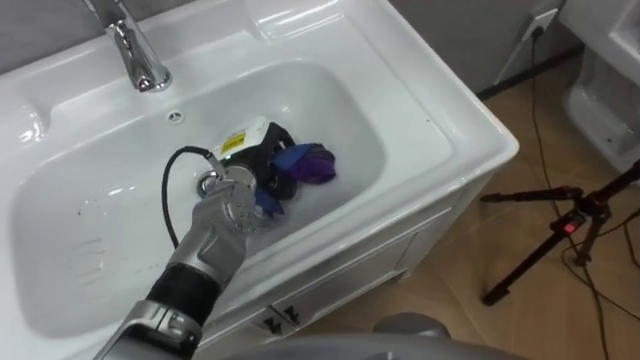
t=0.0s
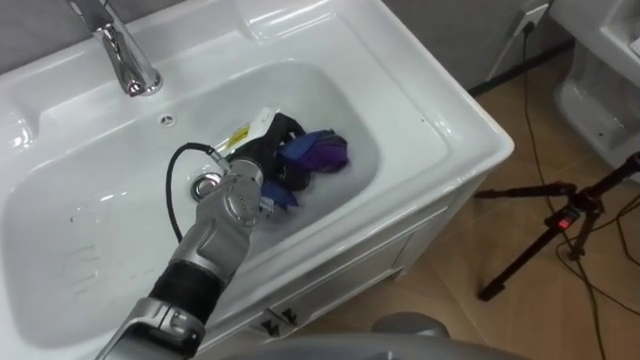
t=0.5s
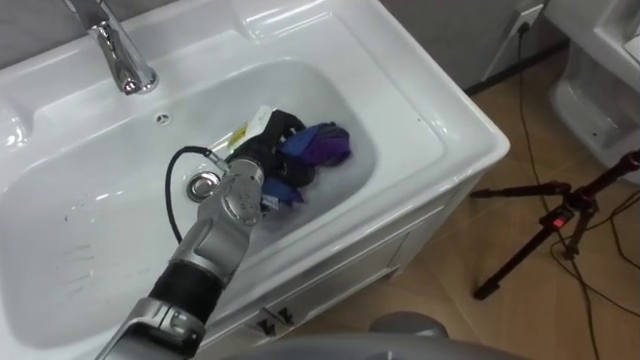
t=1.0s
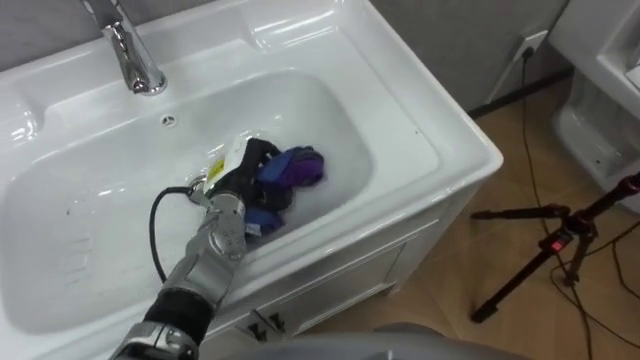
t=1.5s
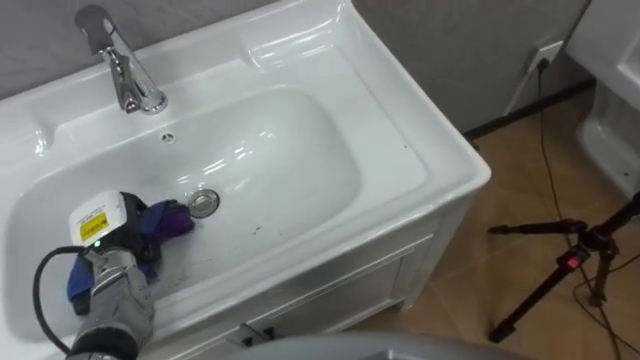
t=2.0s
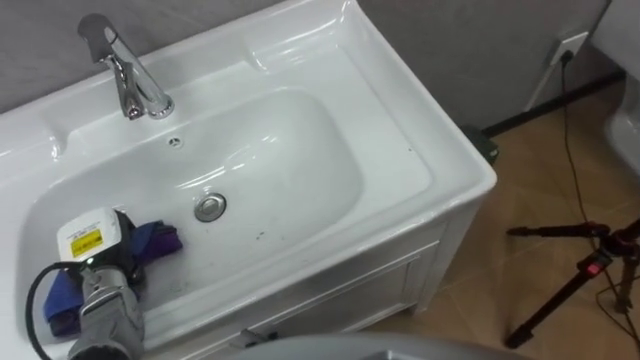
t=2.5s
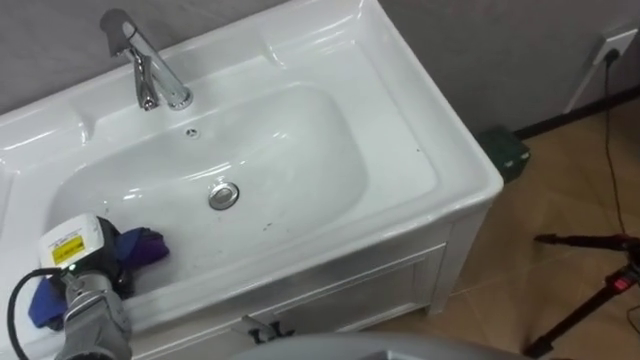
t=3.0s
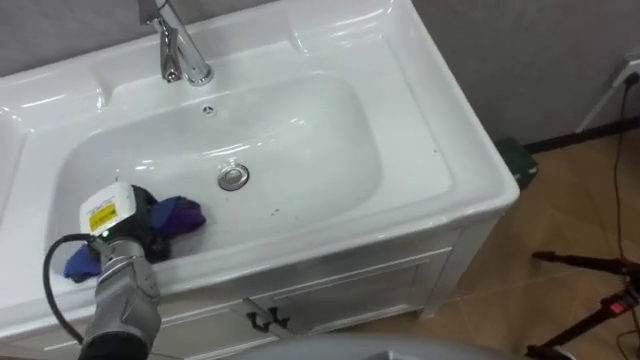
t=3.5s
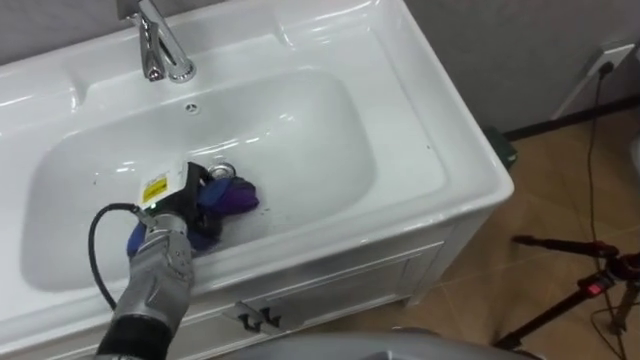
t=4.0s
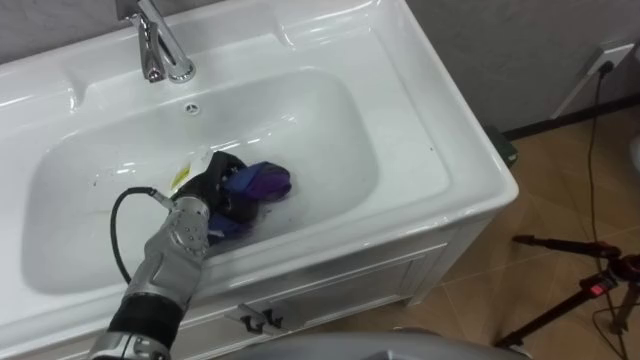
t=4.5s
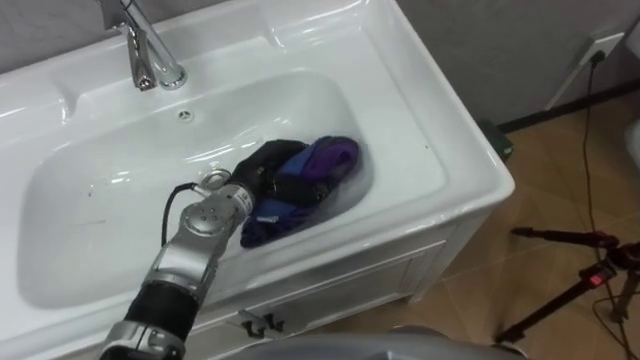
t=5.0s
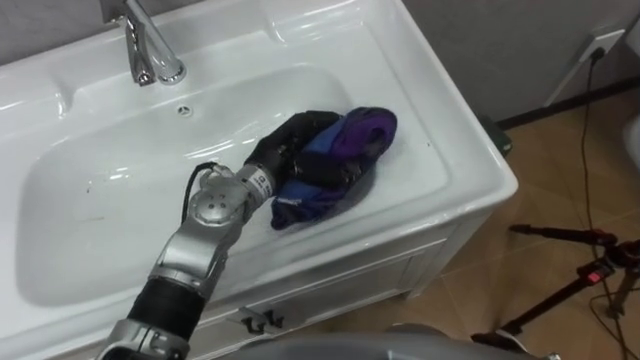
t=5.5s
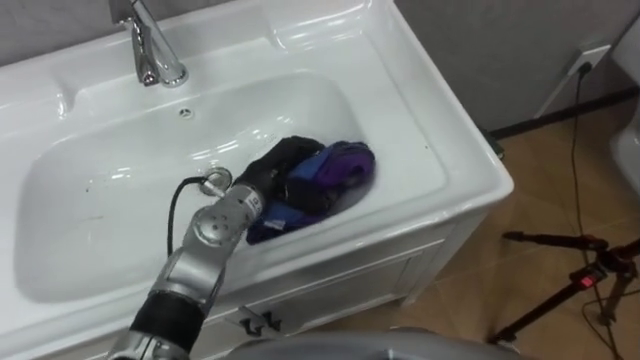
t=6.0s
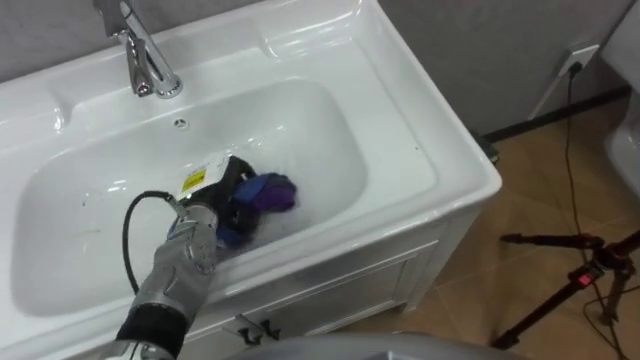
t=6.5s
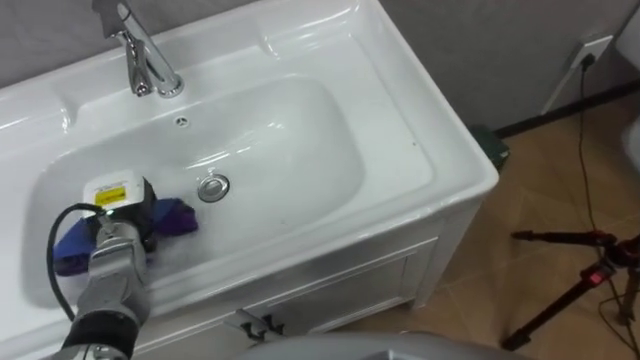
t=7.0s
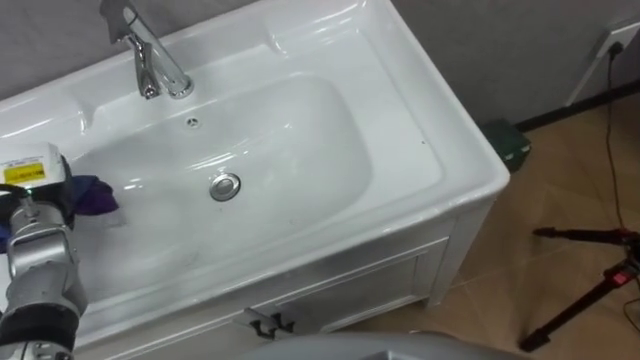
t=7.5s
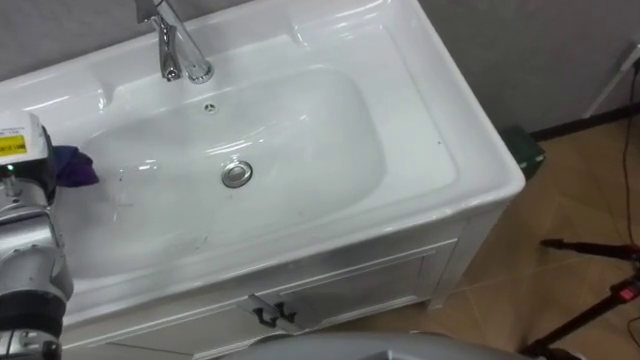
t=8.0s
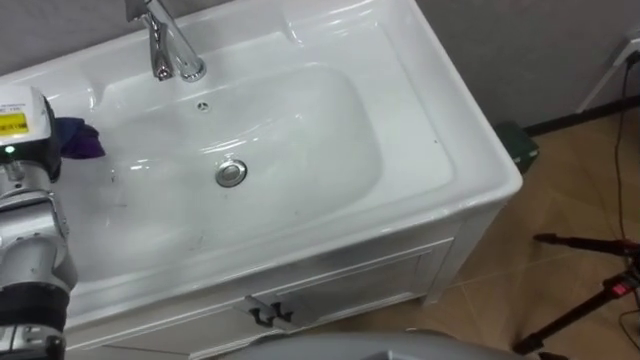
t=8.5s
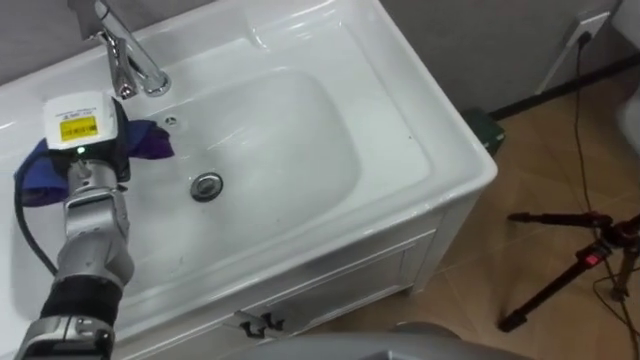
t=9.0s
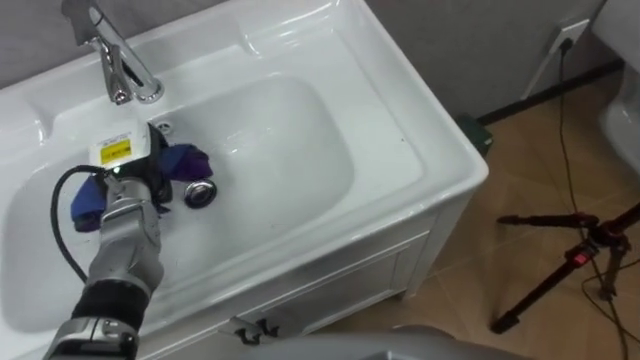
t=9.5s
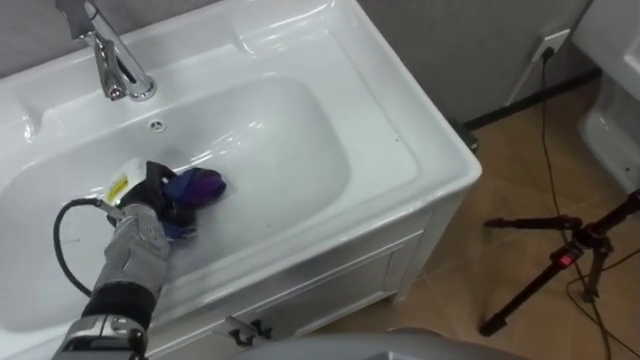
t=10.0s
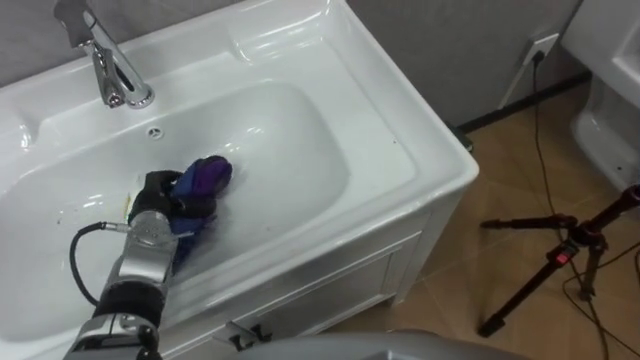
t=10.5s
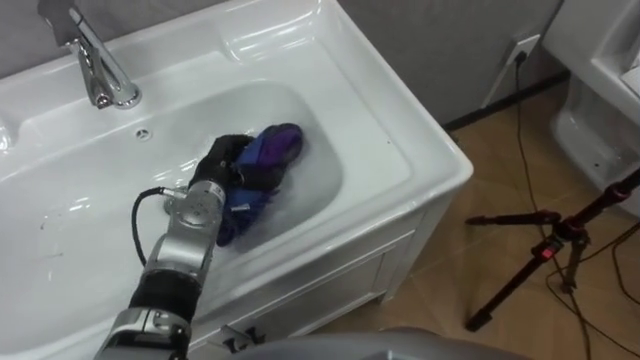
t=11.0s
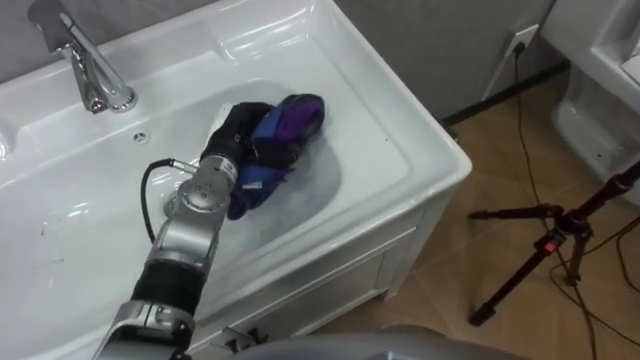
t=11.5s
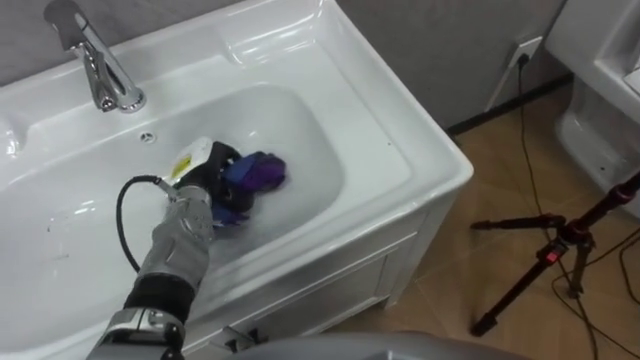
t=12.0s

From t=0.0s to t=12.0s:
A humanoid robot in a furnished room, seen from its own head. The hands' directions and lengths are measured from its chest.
Task of the whole recording: Use the cloth on the right to wipe away the black stain in the sink.
From t=0.0s to t=2.0s: The left hand shifts roughly 25 cm to the left and backward.
From t=2.0s to t=4.0s: The left hand travels to the right by about 10 cm.
From t=4.0s to t=6.0s: The left hand moves to the right, about 15 cm.
From t=10.0s to t=12.0s: The left hand is displaced to the right by roughly 10 cm.

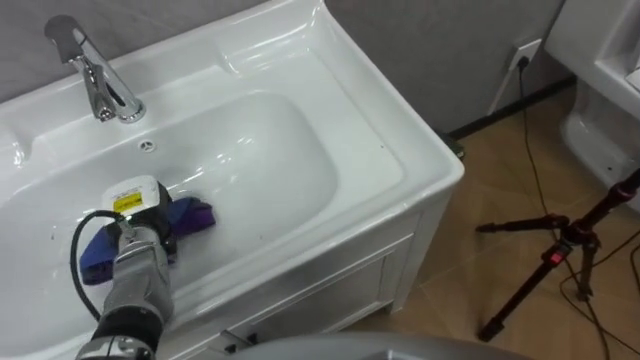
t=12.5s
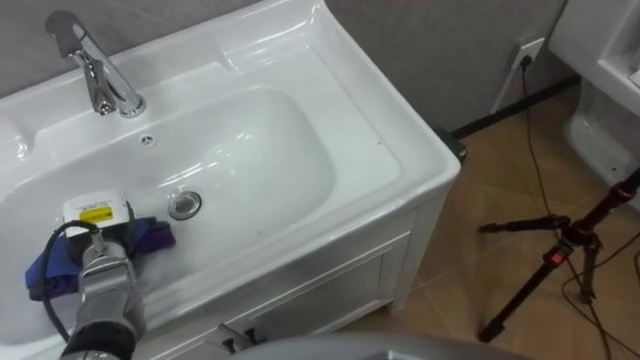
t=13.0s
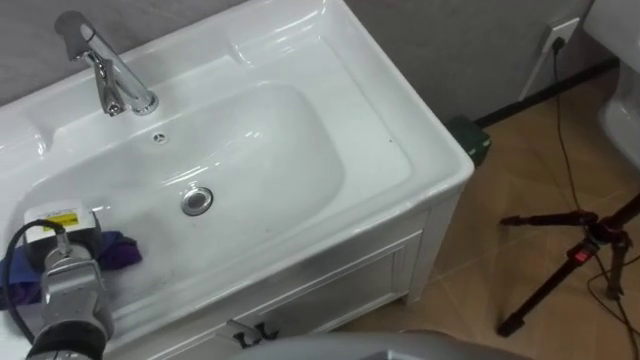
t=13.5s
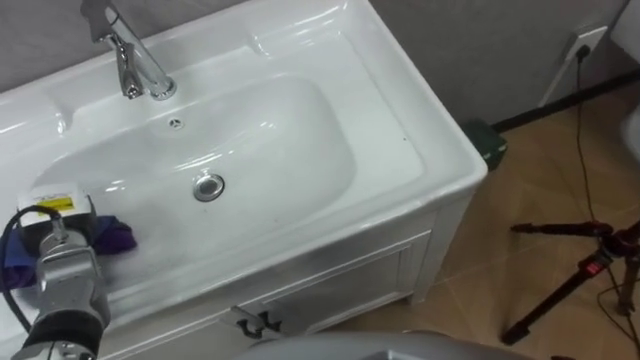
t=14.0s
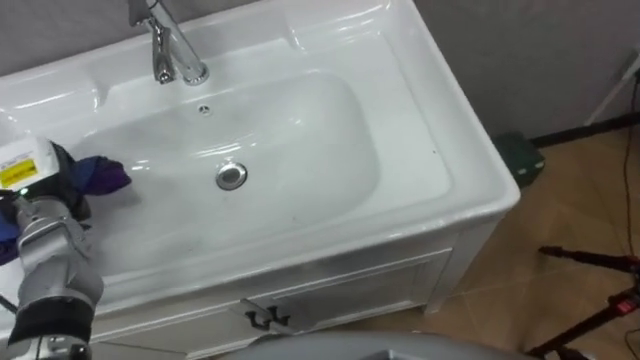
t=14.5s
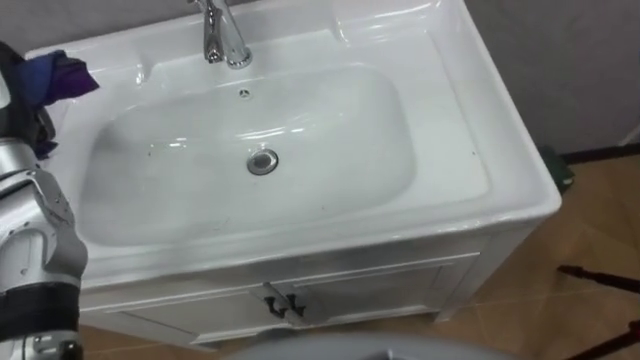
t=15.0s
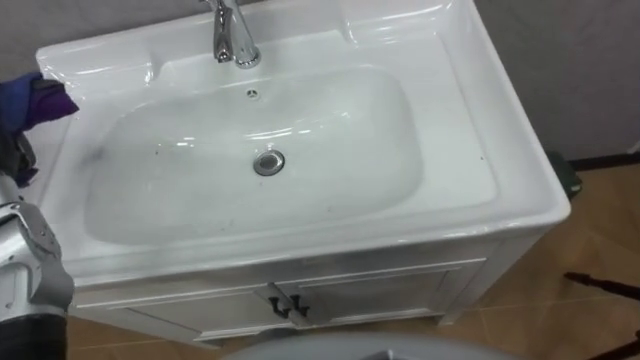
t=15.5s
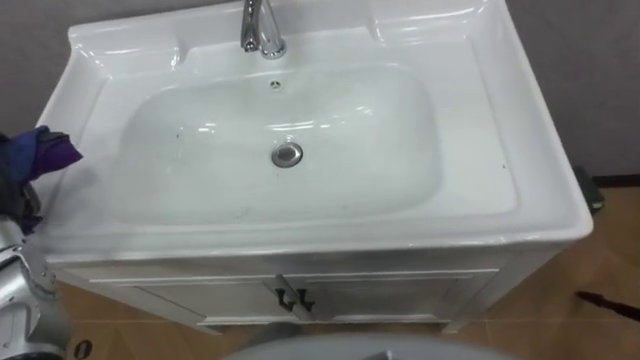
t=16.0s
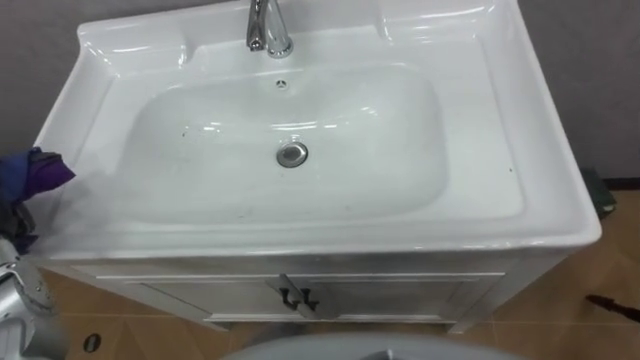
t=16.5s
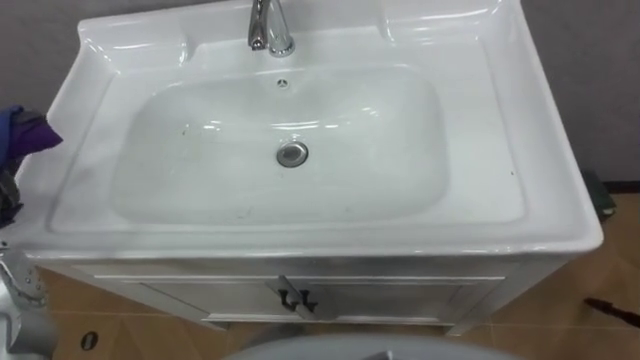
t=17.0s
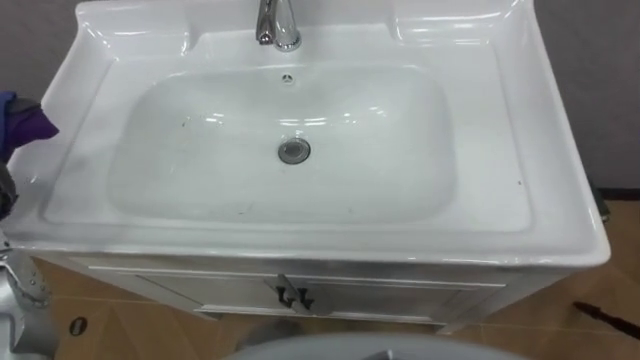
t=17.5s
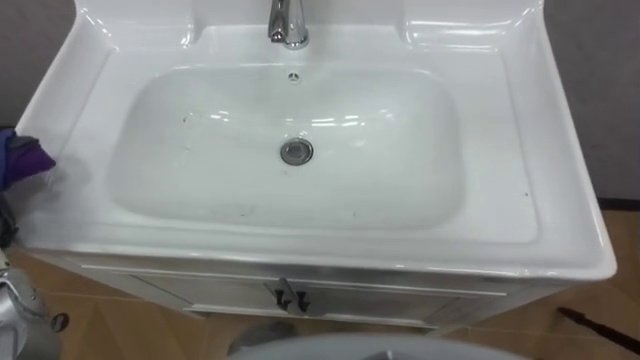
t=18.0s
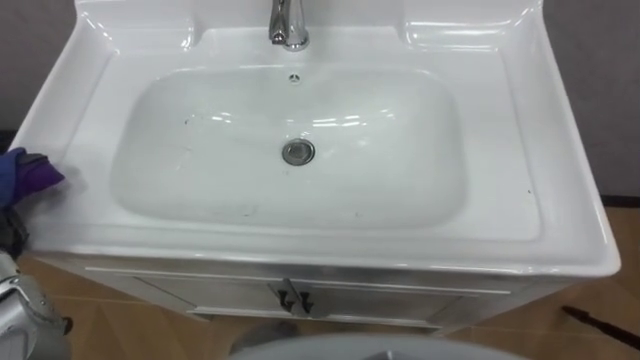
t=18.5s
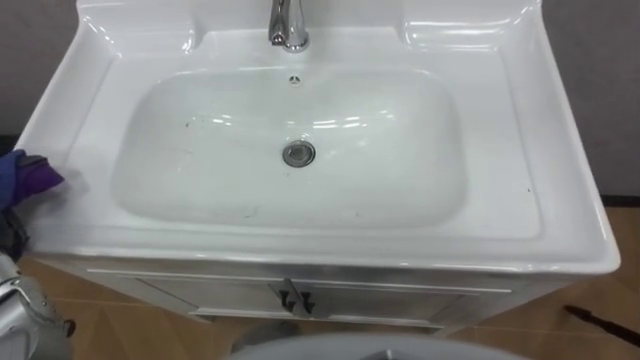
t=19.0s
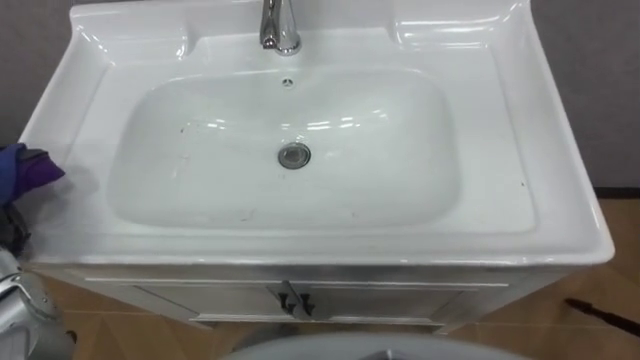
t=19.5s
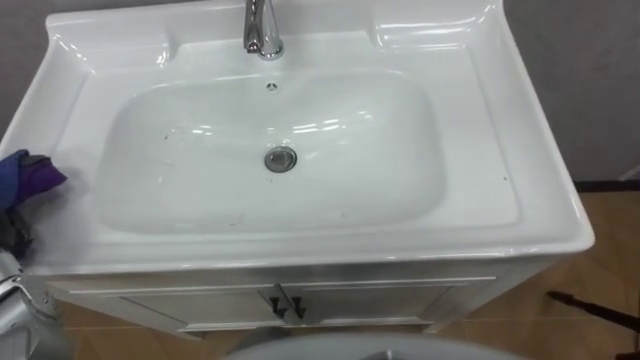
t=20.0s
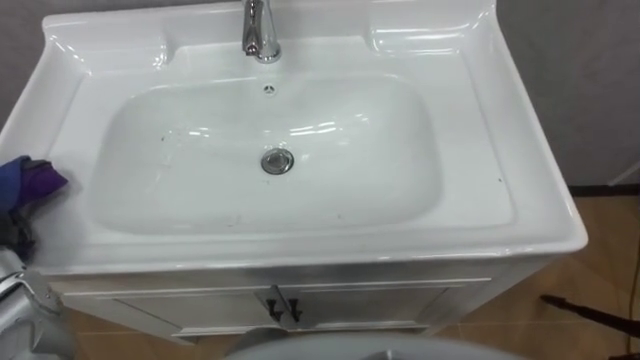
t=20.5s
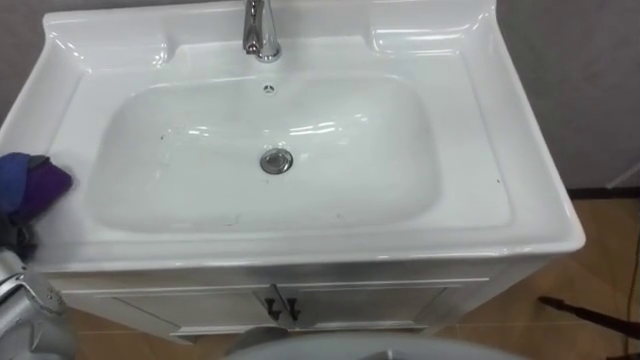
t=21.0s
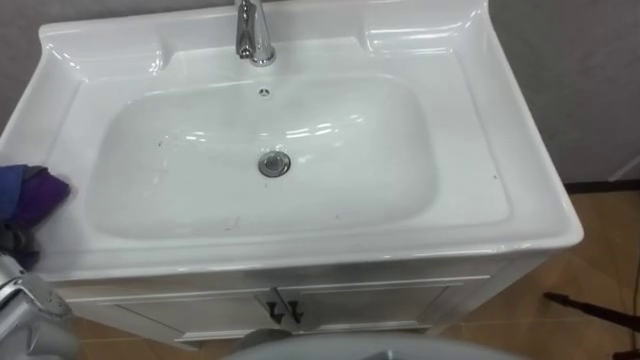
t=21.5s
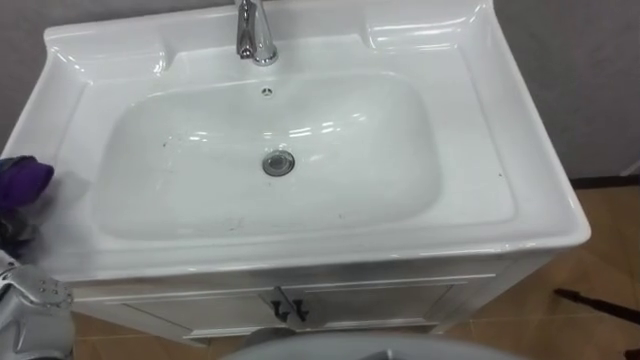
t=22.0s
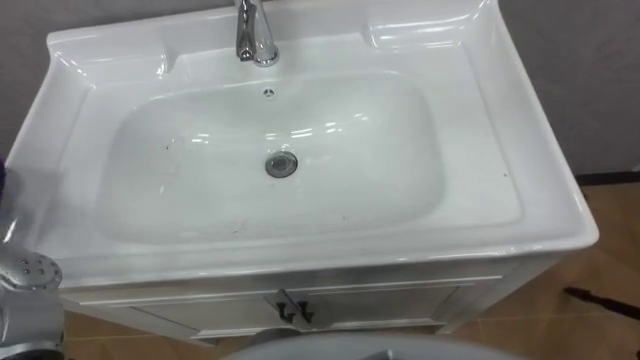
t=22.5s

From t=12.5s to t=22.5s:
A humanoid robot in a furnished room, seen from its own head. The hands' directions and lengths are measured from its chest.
Task of the whole recording: Use the cloth on the right to wipe away the black stain in the sink.
From t=12.5s to t=14.5s: The left hand moves to the left and upward, about 15 cm.
